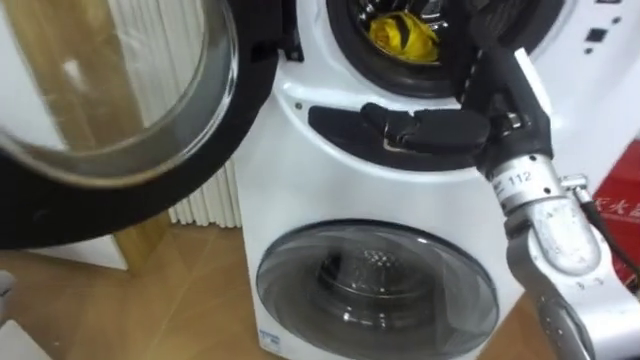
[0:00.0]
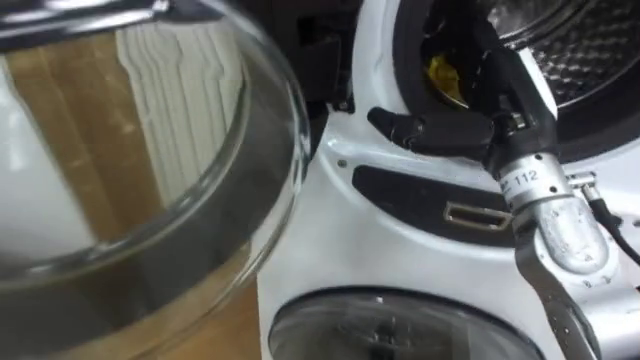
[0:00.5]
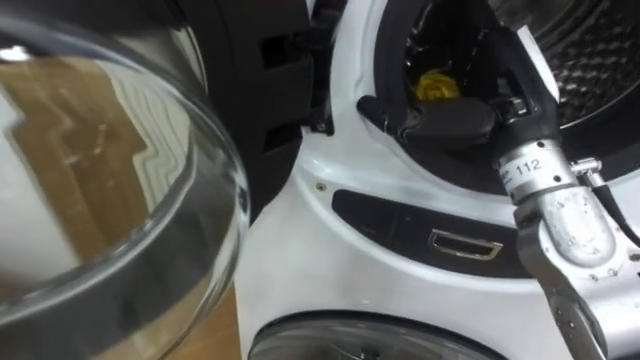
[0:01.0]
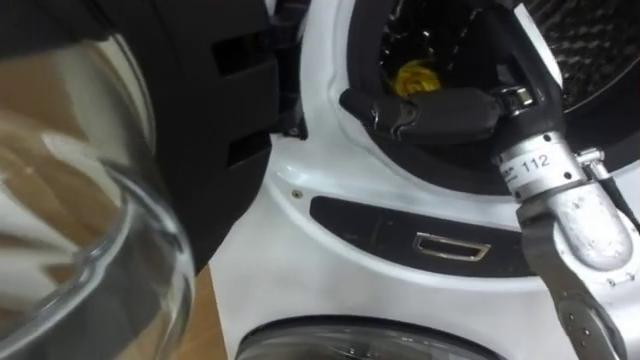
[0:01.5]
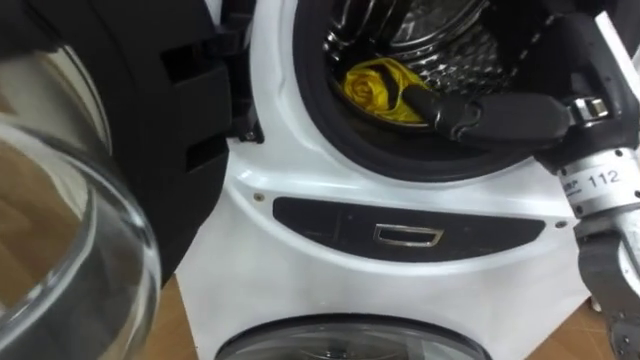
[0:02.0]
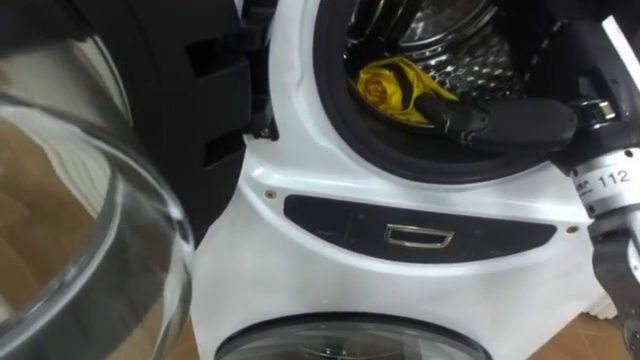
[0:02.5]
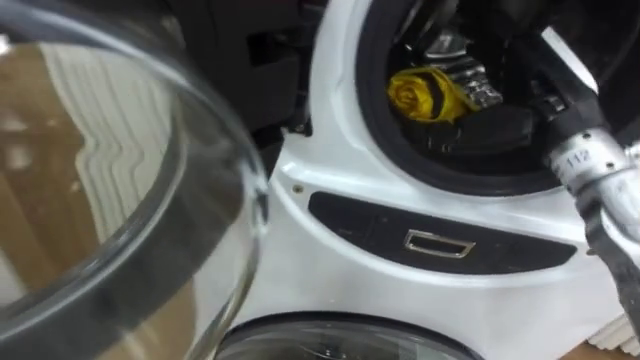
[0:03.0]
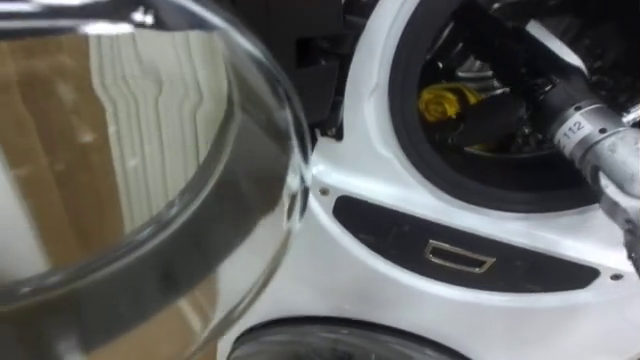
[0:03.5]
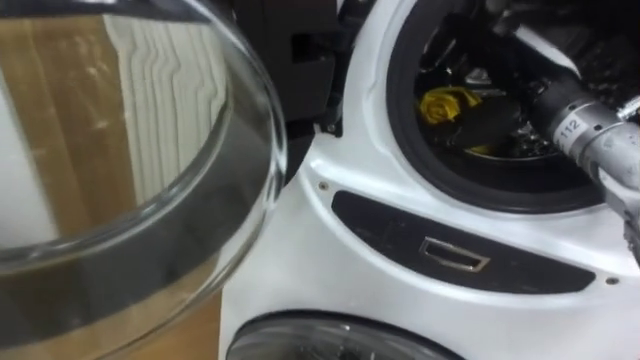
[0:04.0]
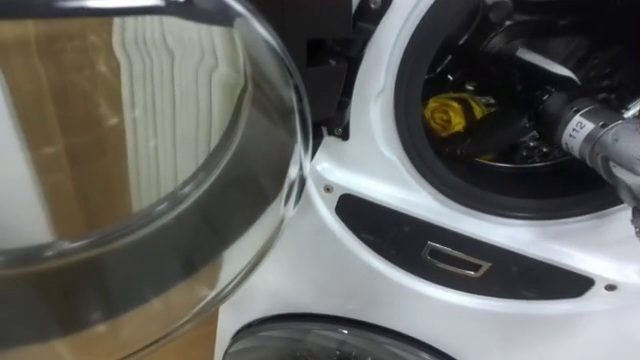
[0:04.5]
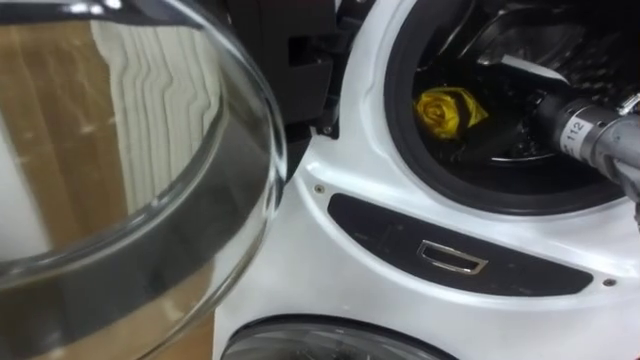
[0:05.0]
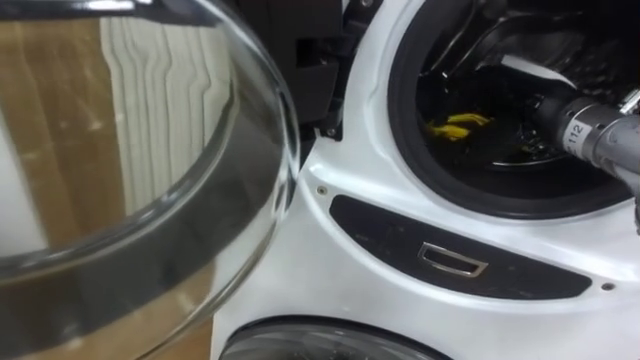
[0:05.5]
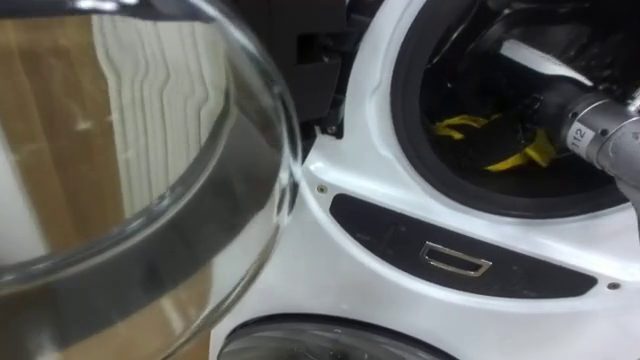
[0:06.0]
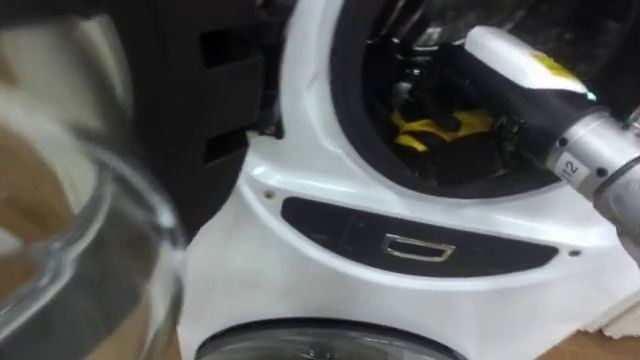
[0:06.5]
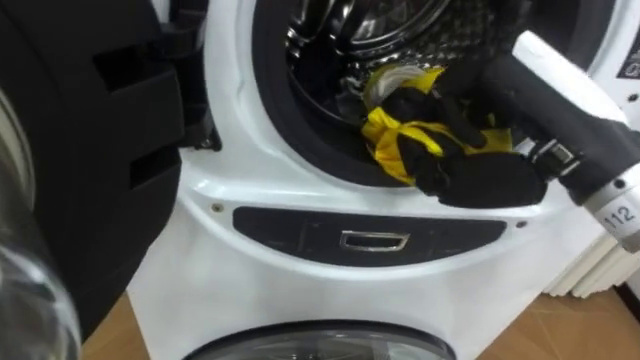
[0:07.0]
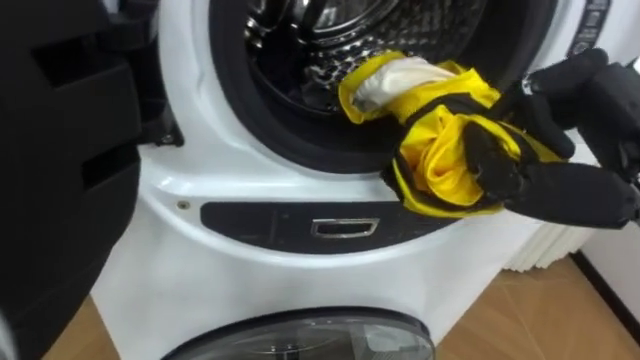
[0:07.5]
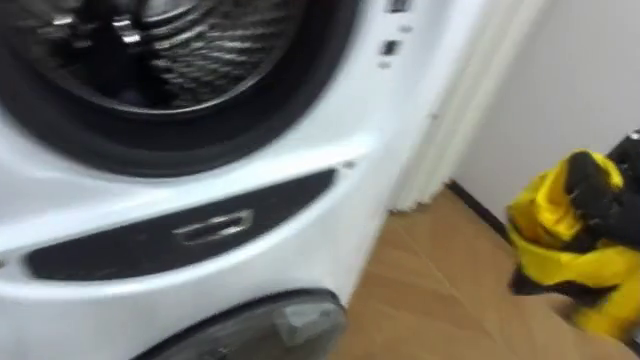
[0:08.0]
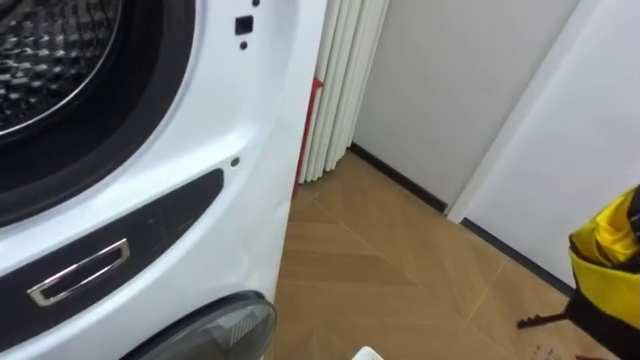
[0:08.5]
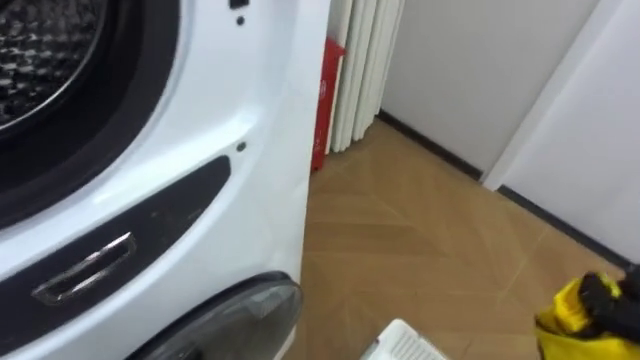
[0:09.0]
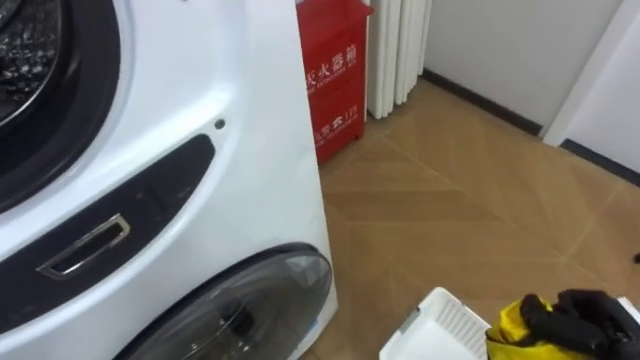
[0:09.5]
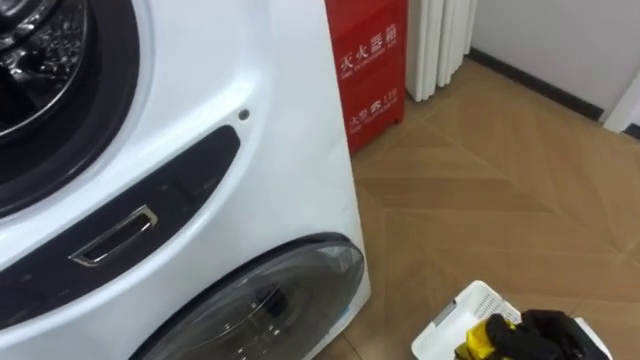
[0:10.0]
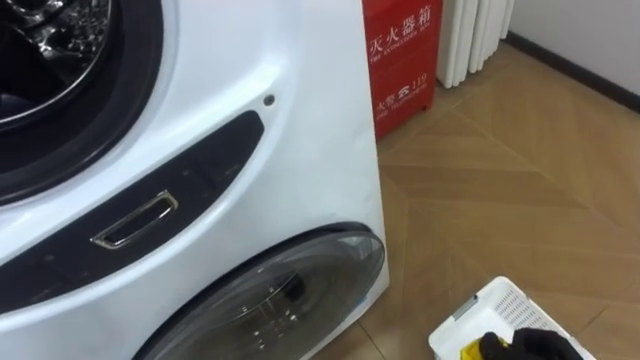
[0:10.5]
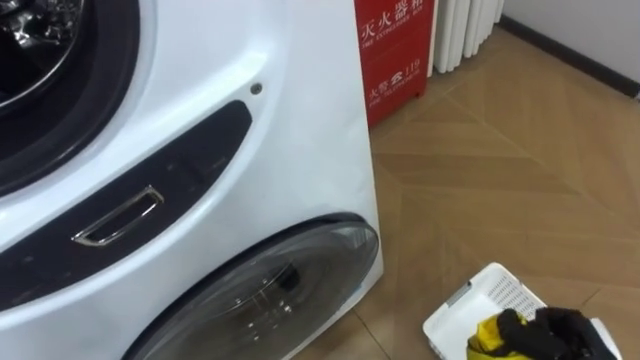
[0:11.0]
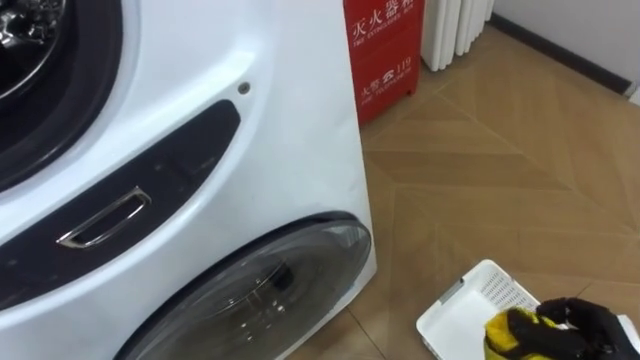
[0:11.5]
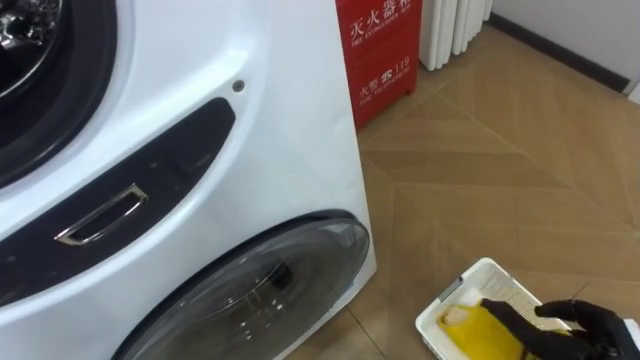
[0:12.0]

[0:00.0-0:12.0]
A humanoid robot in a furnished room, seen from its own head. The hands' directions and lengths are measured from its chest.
Task of the whole recording: Open the washing machine door, take out the yellow clothes, place them in the box on the right, and close the washing machine door.
0.0 to 2.0 s: The right hand moves approximately 5 cm.
2.0 to 4.0 s: The right hand goes approximately 10 cm forward.
4.0 to 6.0 s: The right hand closes.

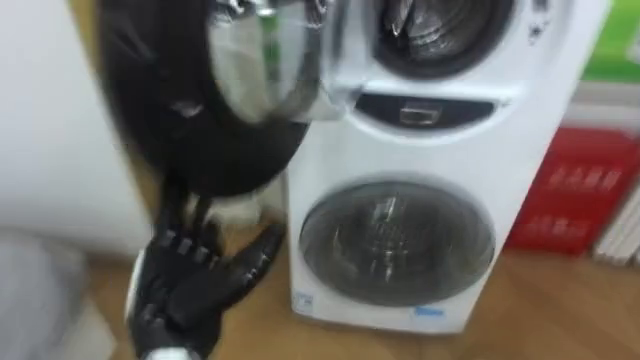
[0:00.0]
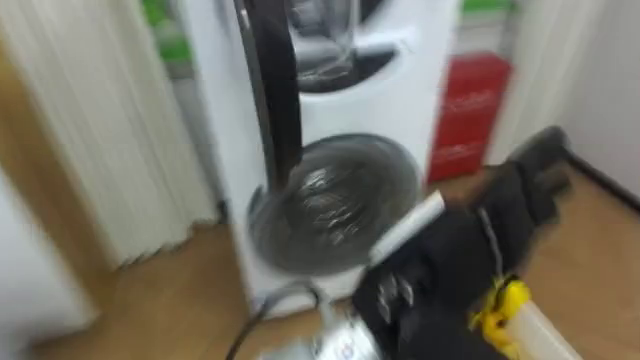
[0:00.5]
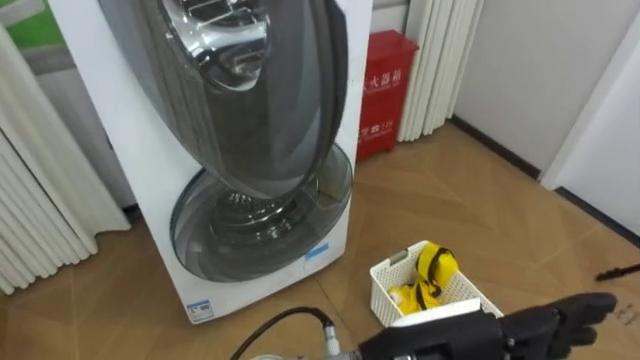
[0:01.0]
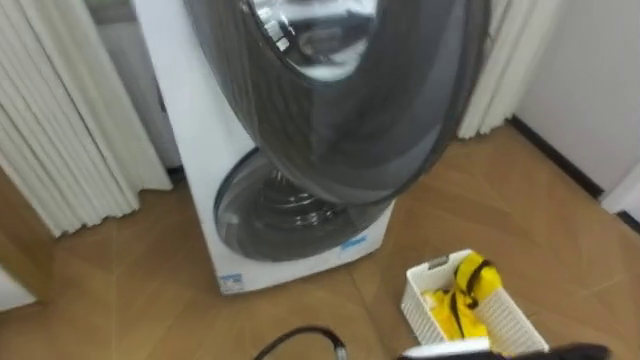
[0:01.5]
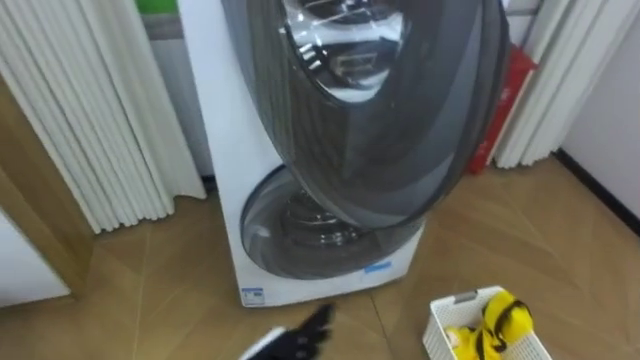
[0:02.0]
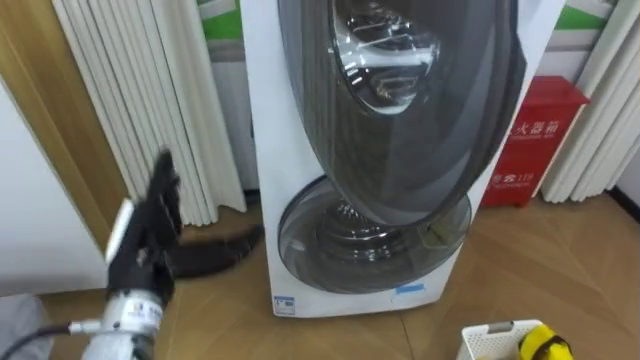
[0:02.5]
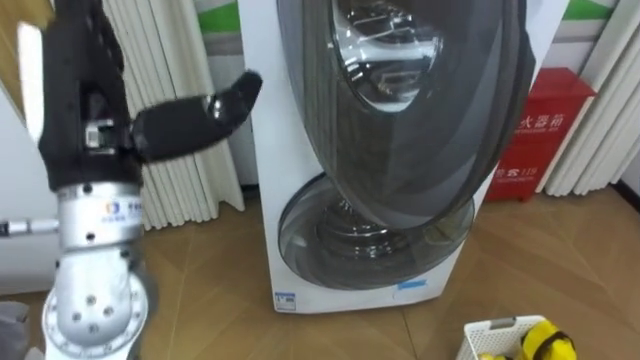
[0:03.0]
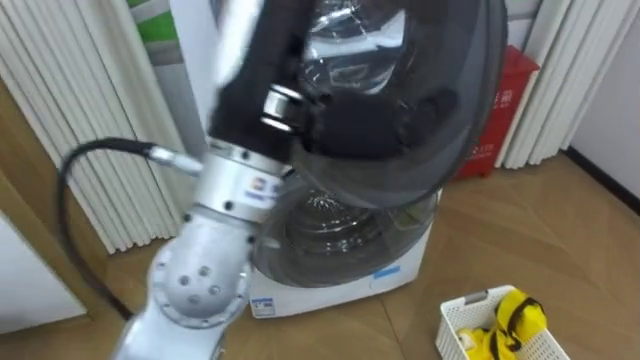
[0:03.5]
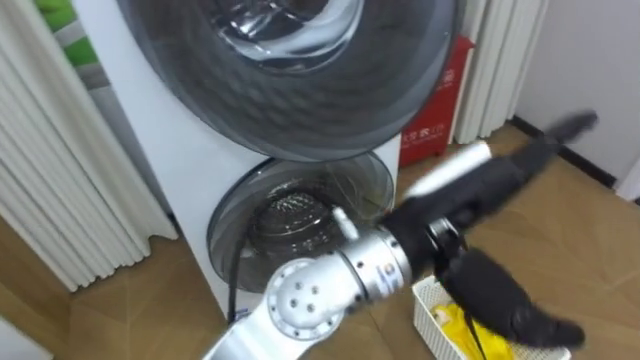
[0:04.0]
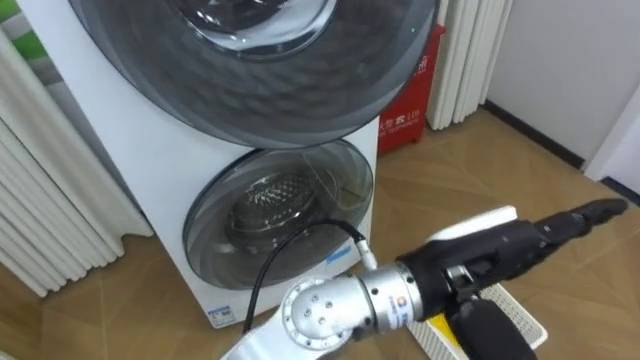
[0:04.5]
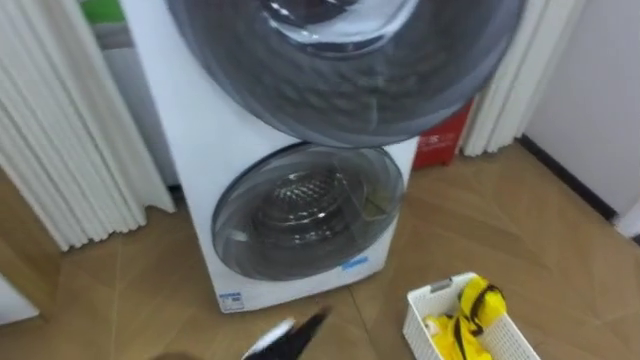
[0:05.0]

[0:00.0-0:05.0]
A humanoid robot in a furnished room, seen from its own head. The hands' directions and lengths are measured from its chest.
Task of the whole recording: Open the washing machine door, take out the yellow clothes, place them in the box on the right, and close the washing machine door.
2.5 to 5.0 s: The left hand goes approximately 20 cm downward and to the right.

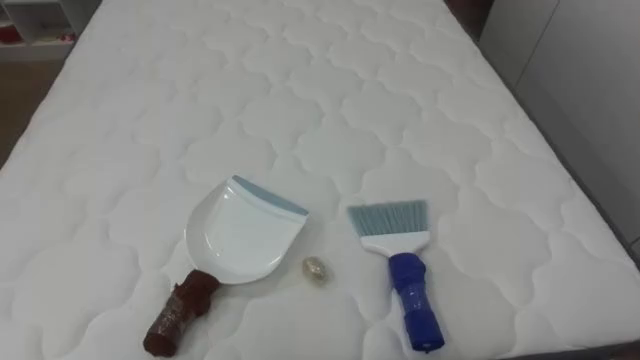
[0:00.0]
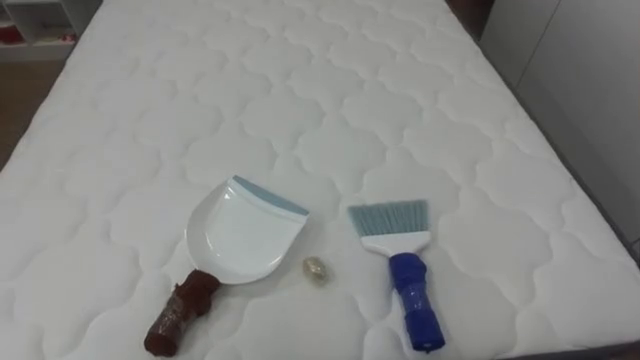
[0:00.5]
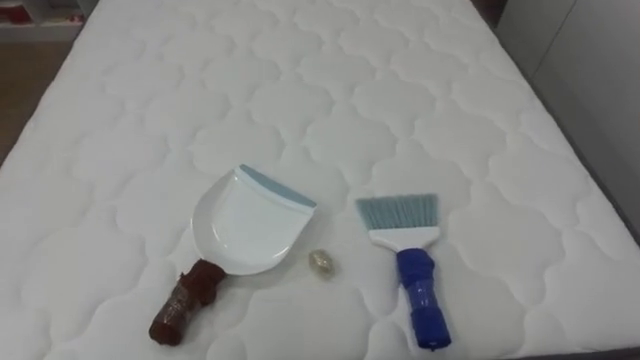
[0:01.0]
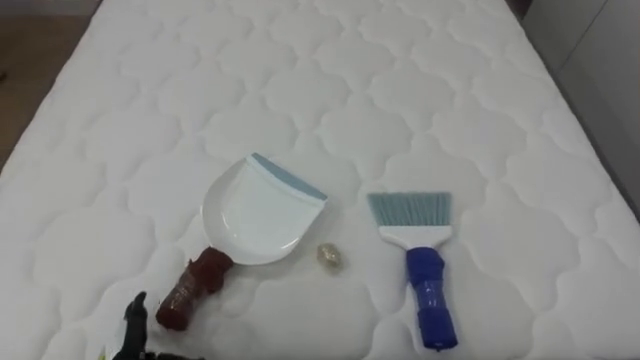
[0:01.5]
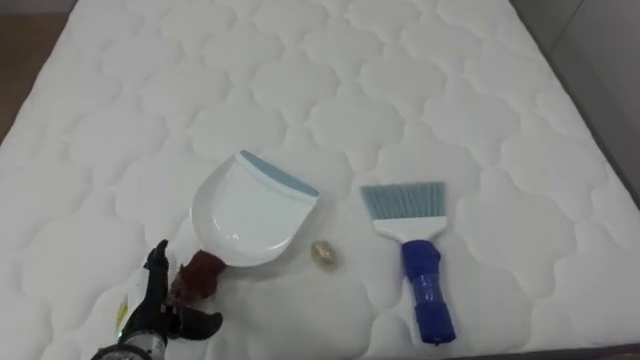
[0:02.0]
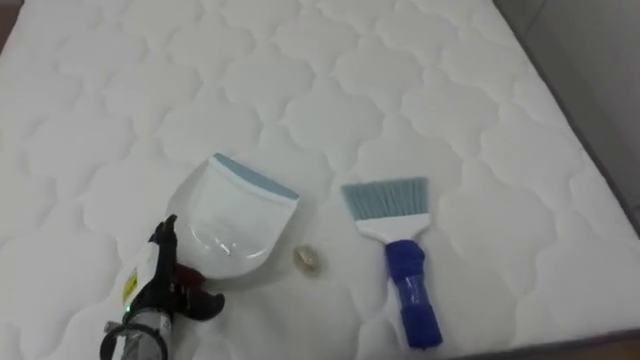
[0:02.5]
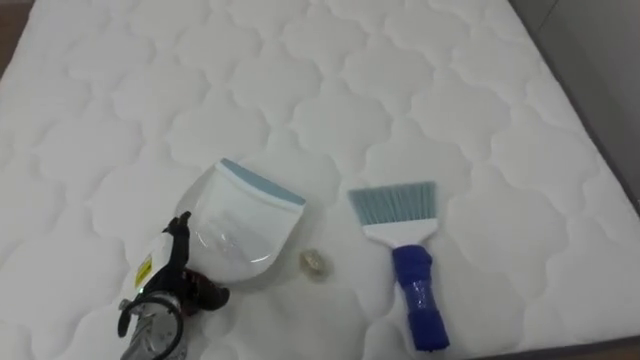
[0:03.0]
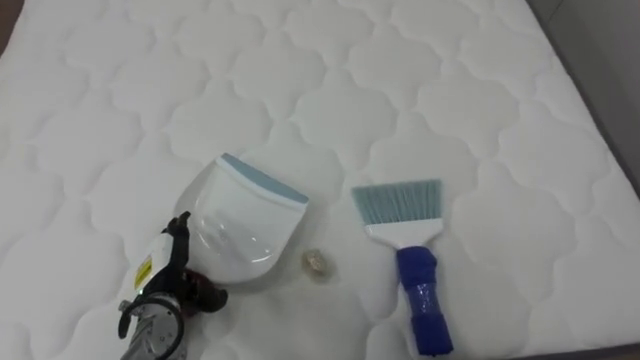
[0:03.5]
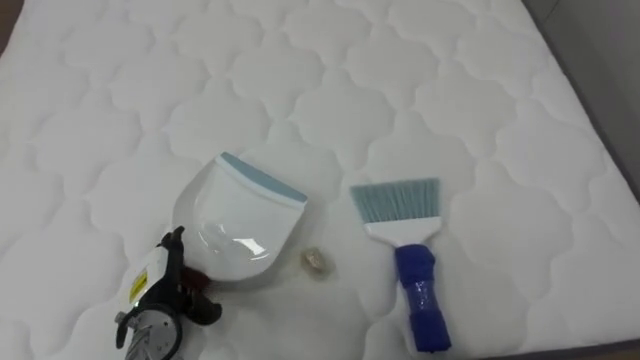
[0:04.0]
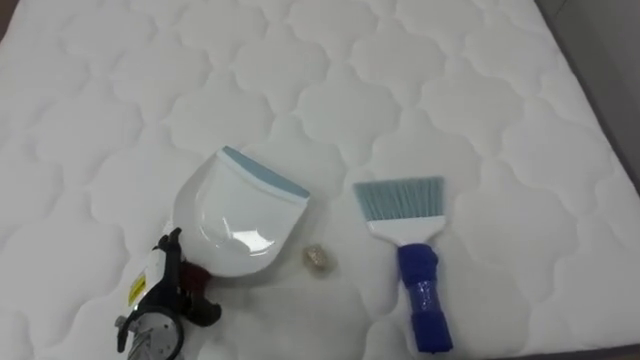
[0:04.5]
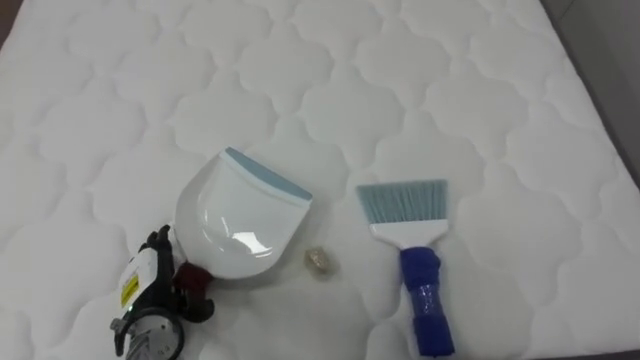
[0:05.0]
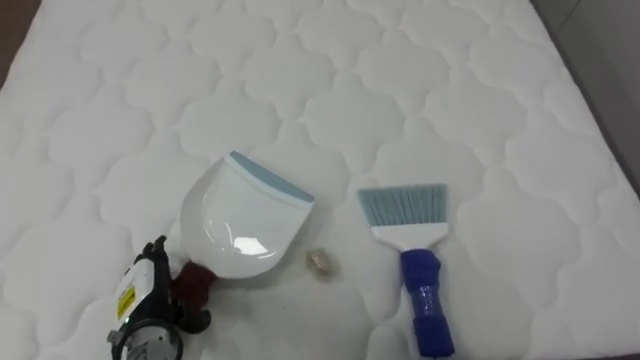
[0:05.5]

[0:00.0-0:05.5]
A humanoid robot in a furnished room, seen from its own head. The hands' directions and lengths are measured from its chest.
Task of the whole recording: Pick up the brush on your right and the dustpan on your left. Use the brush to sweep the crumpled paper on the bed into the dustpan, then turn left and empty it into the basket.
2.0 to 3.5 s: The left hand is displaced forward by approximately 5 cm.
